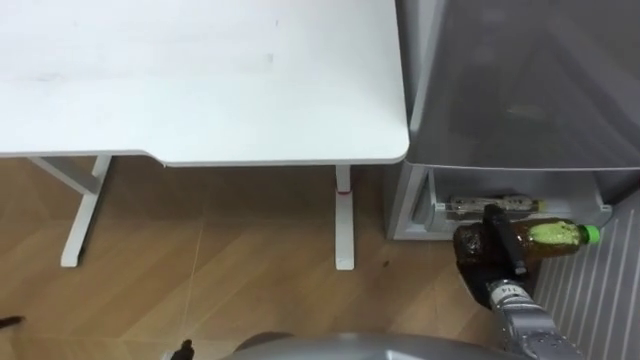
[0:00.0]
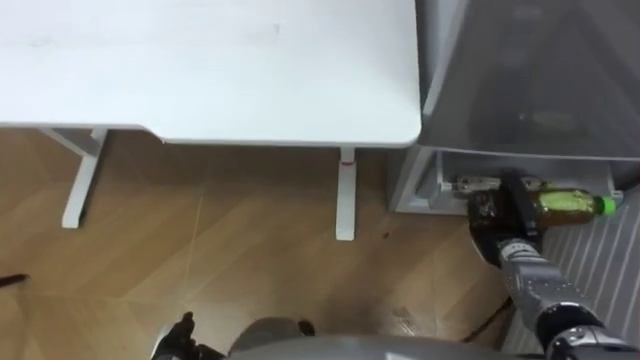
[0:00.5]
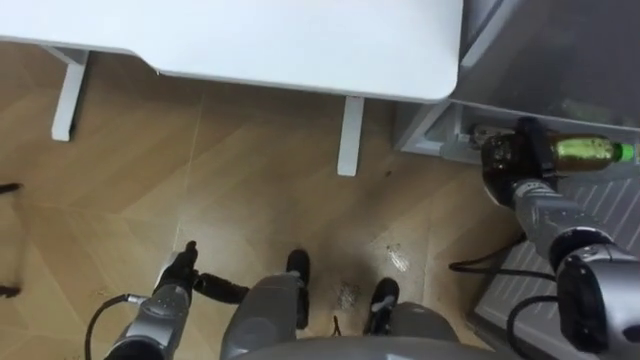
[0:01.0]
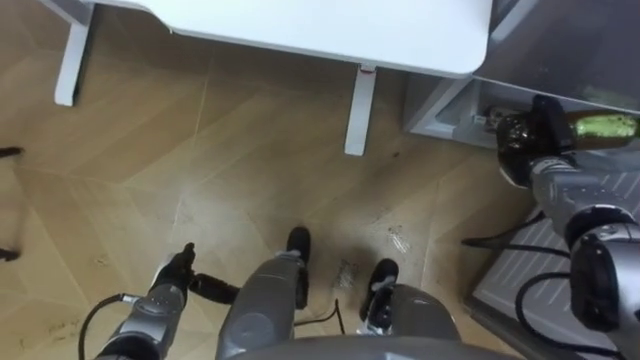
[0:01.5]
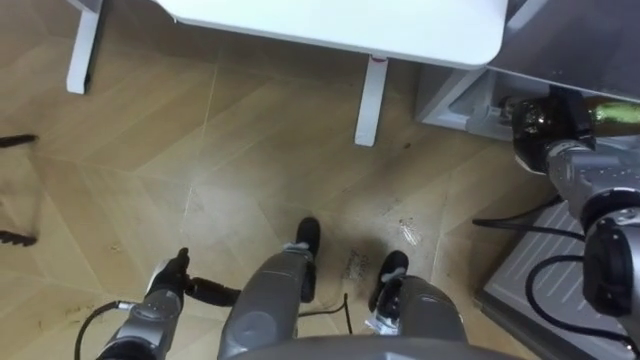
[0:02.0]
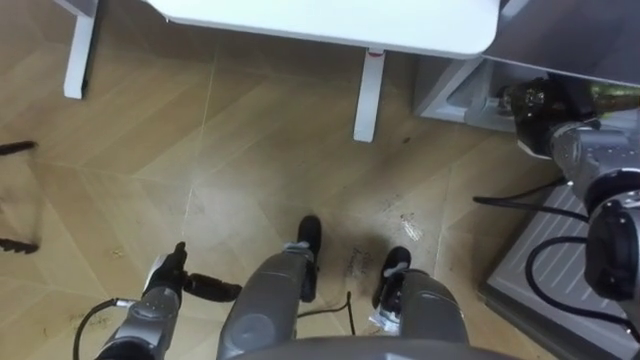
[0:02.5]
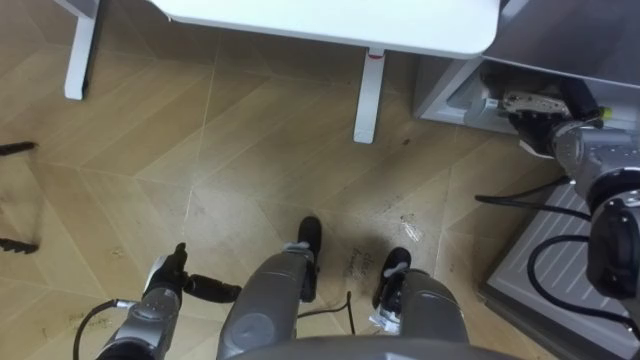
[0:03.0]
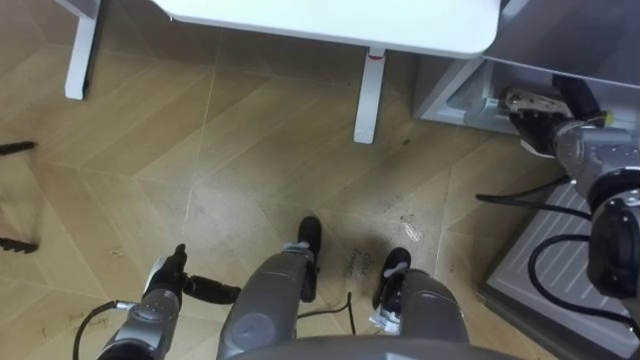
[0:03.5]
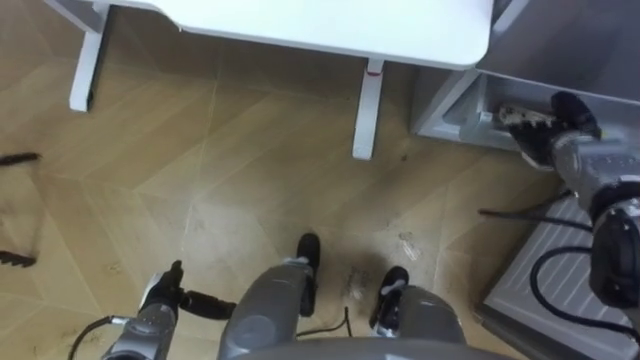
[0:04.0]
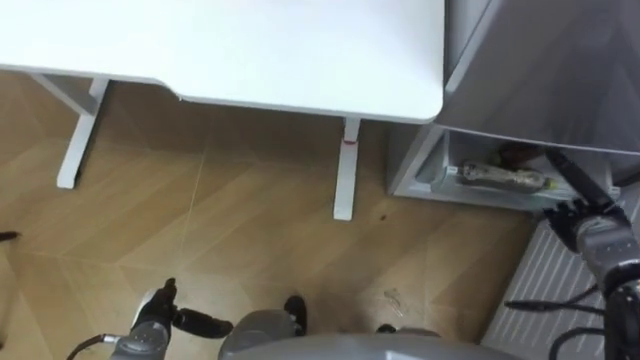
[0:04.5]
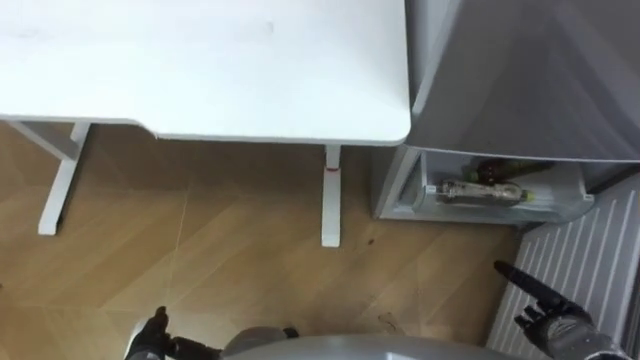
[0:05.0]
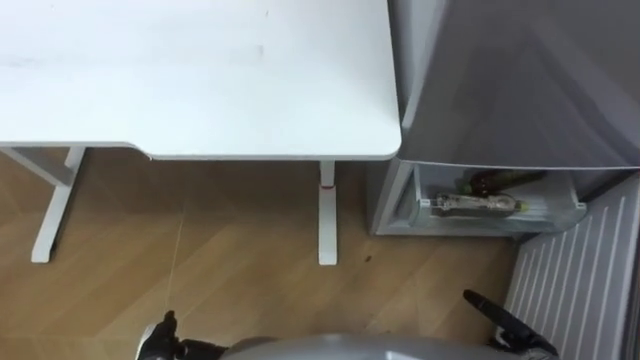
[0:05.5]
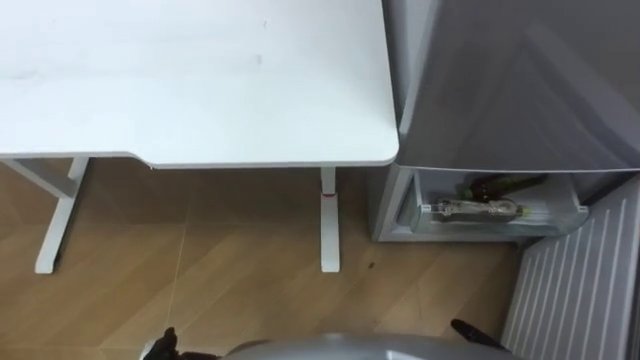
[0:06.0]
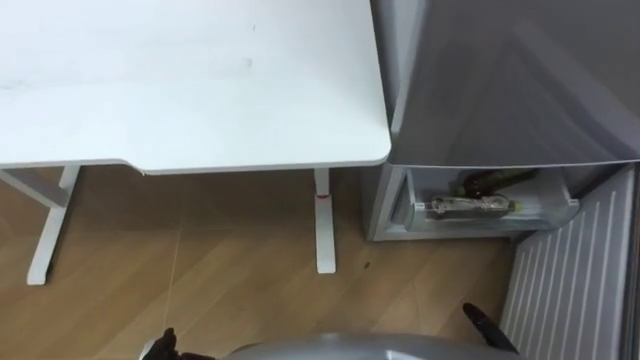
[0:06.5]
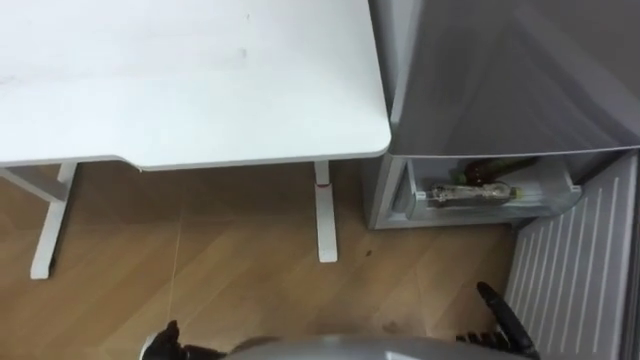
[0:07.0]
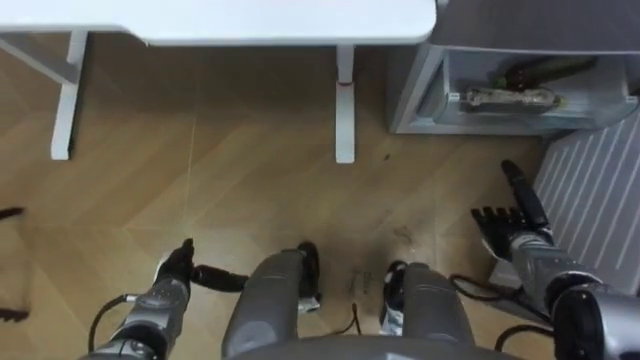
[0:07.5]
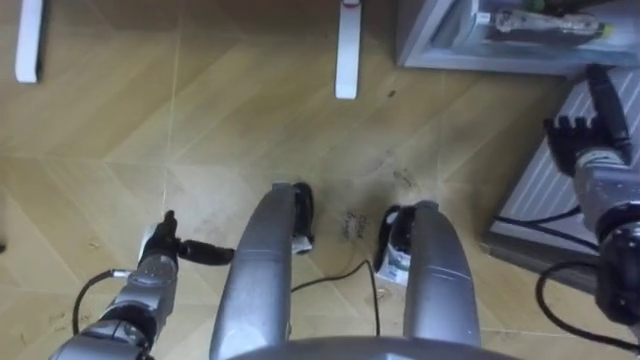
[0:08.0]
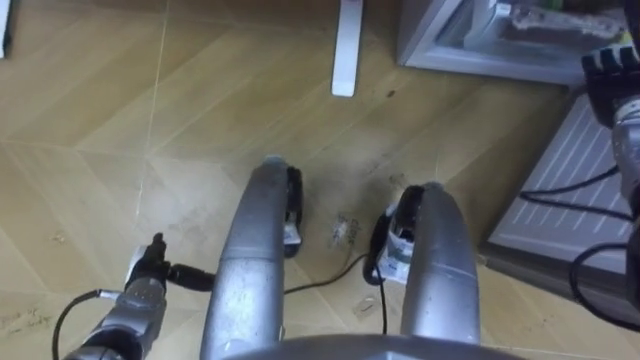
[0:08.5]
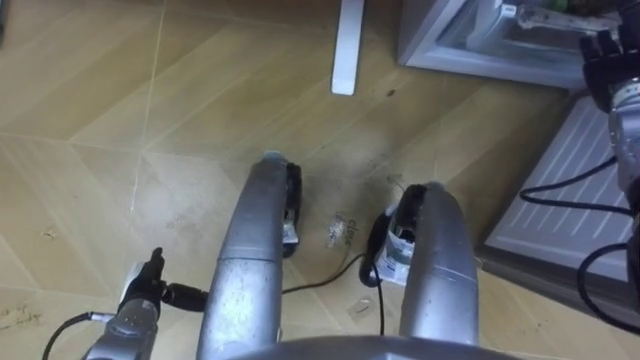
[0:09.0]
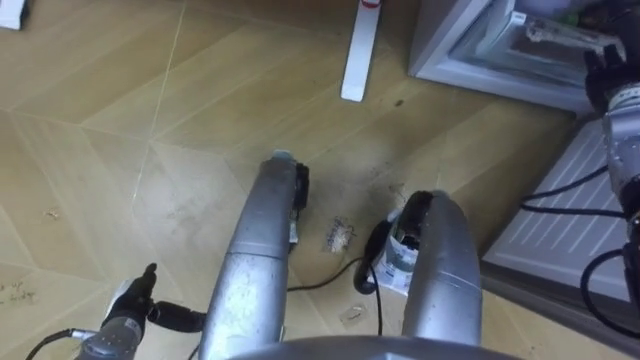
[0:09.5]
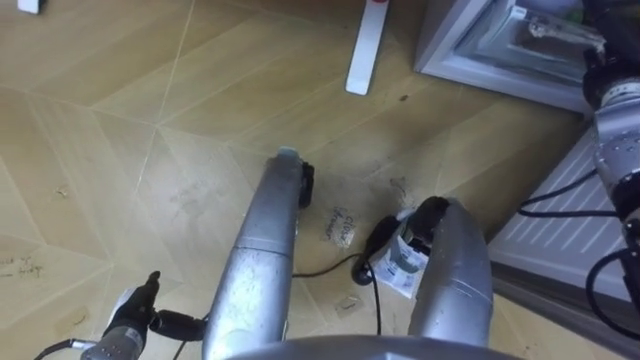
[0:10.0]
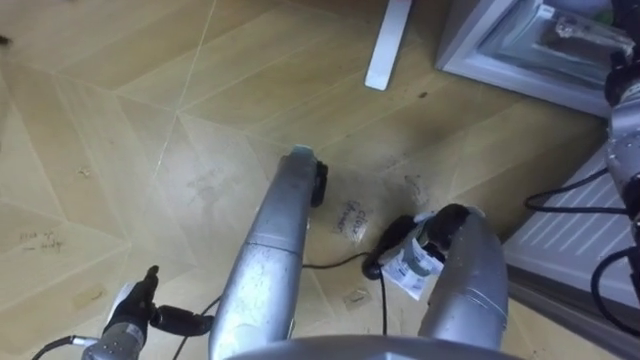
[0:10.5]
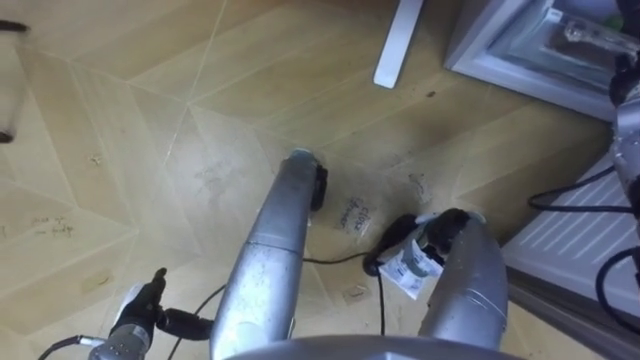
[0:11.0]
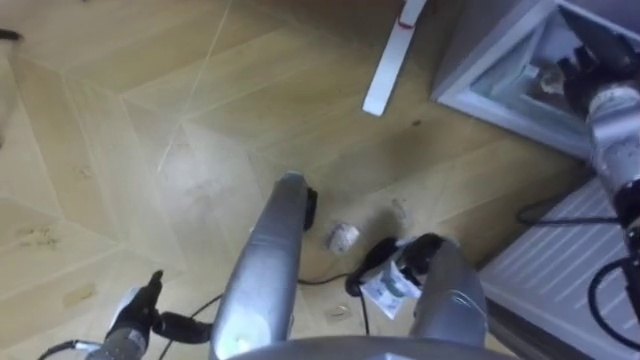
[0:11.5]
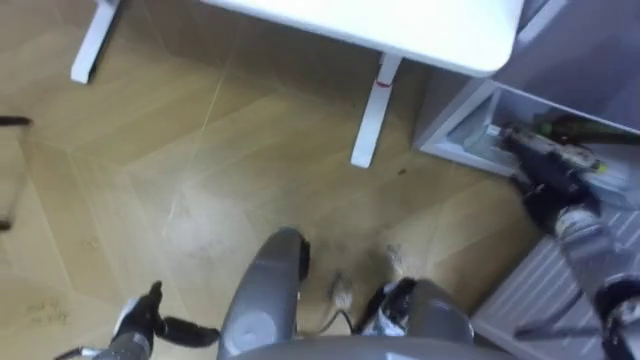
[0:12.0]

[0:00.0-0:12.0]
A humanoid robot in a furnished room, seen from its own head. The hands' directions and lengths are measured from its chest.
Task of the whole recording: Place the drink on the table on the bottom shelf of the refrigerator, then close the drawer and the refrigerator door.
0:00.0 to 0:02.0: The right hand is displaced forward, upward and to the right by roughly 20 cm.
0:02.0 to 0:04.0: The right hand opens up.
0:08.0 to 0:10.0: The right hand shifts approximately 10 cm upward and forward. Meanwhile the left hand heads backward, covering approximately 10 cm.
0:10.0 to 0:12.0: The right hand heads downward and backward, covering approximately 15 cm.

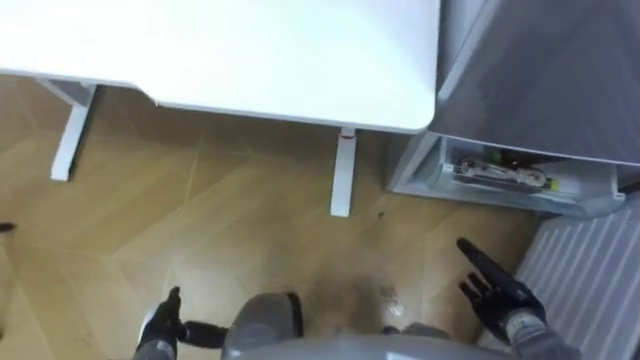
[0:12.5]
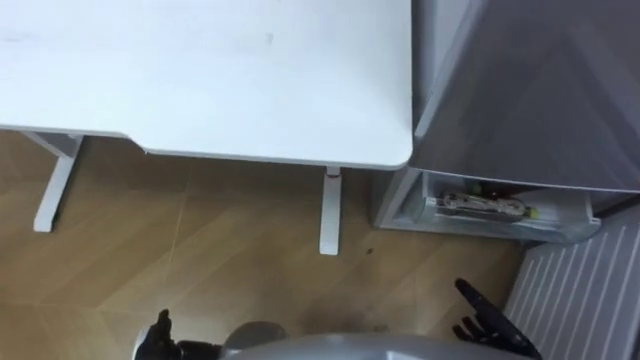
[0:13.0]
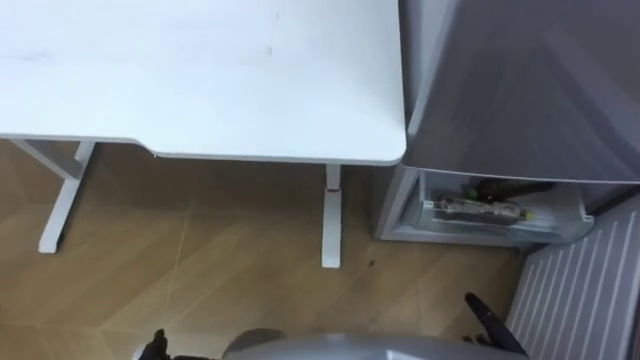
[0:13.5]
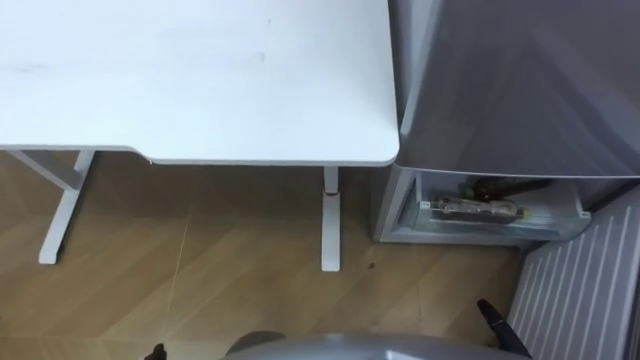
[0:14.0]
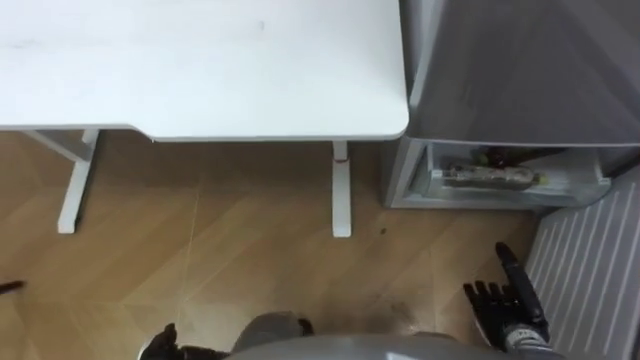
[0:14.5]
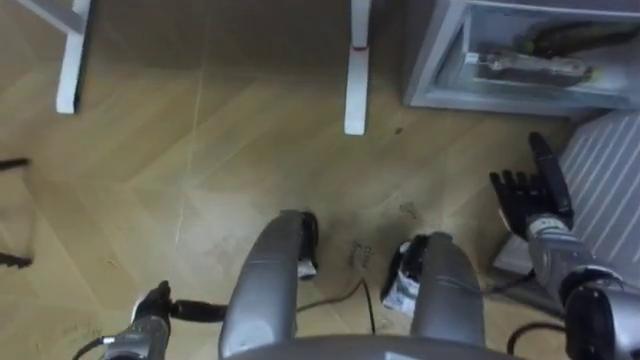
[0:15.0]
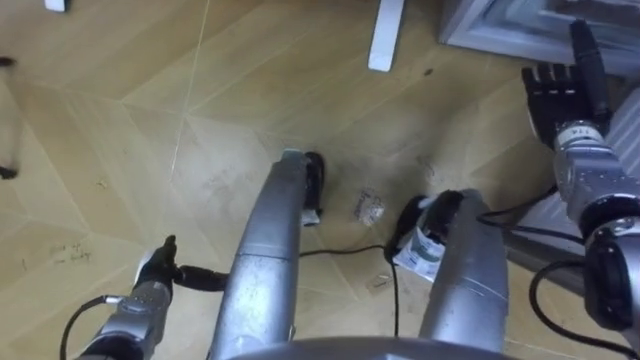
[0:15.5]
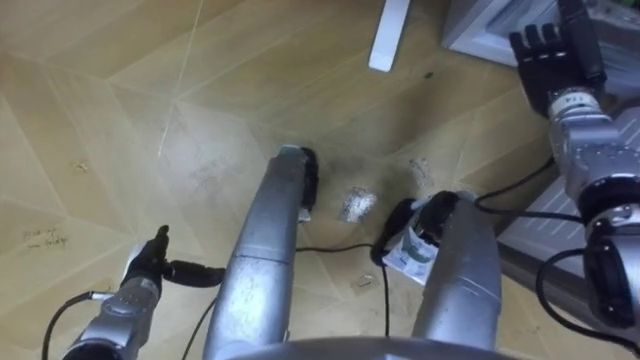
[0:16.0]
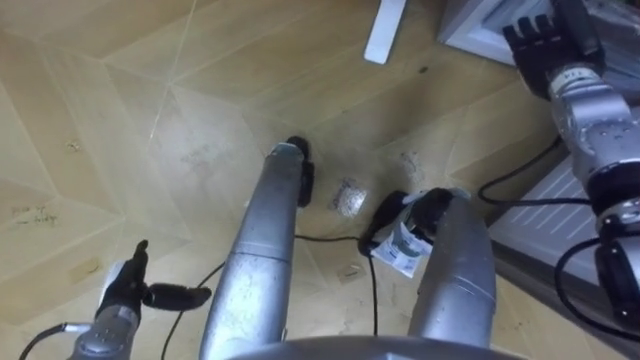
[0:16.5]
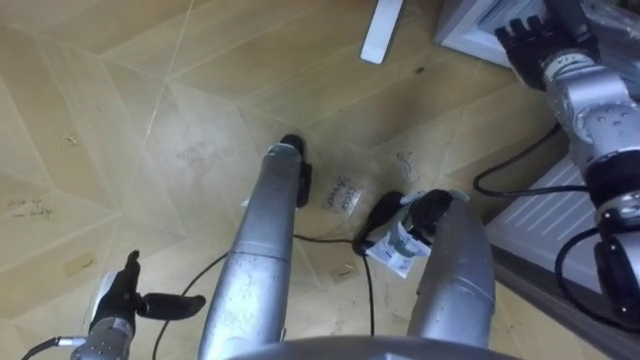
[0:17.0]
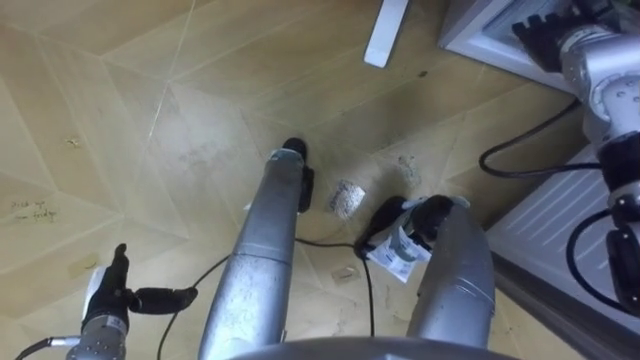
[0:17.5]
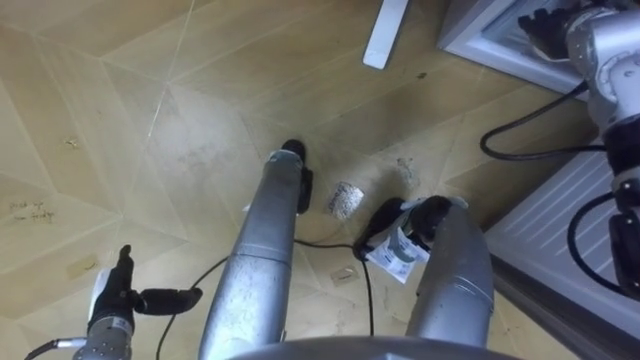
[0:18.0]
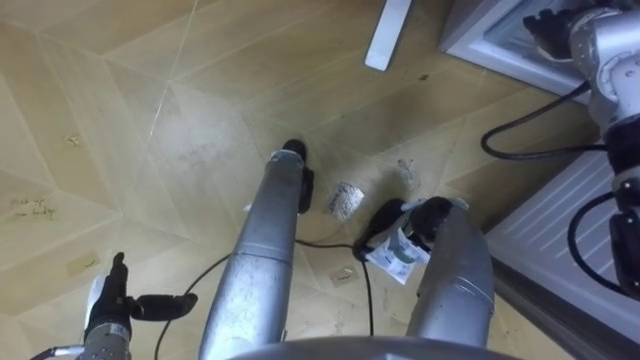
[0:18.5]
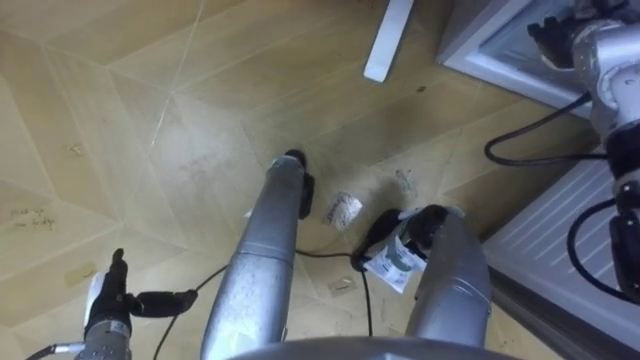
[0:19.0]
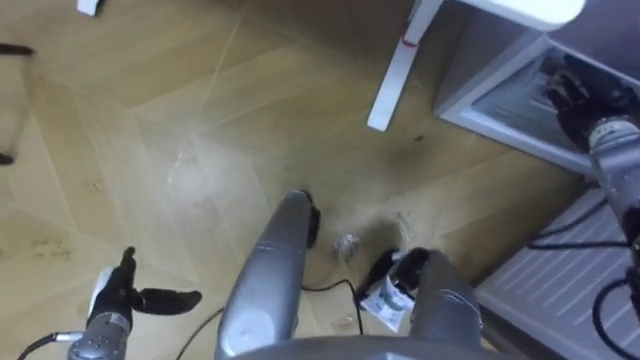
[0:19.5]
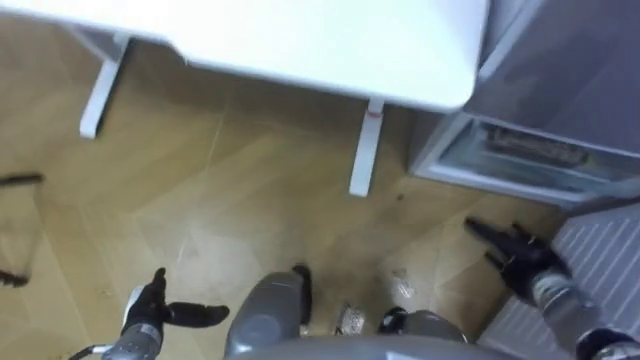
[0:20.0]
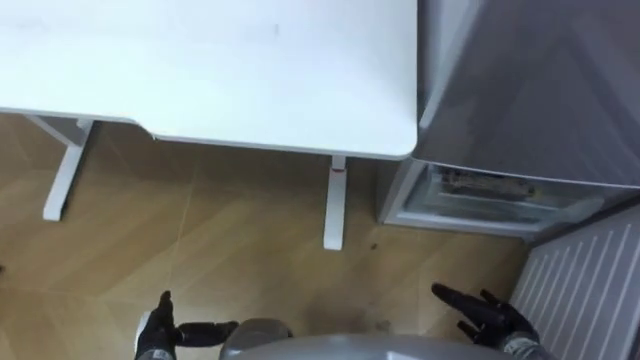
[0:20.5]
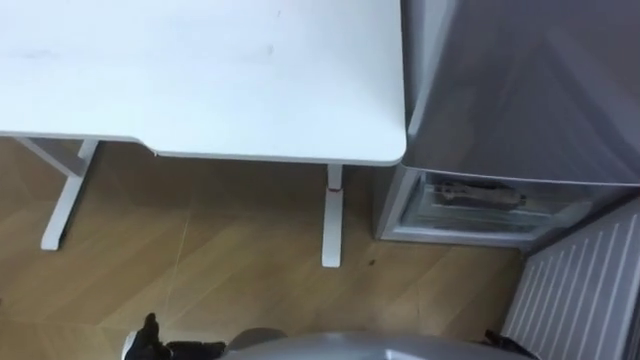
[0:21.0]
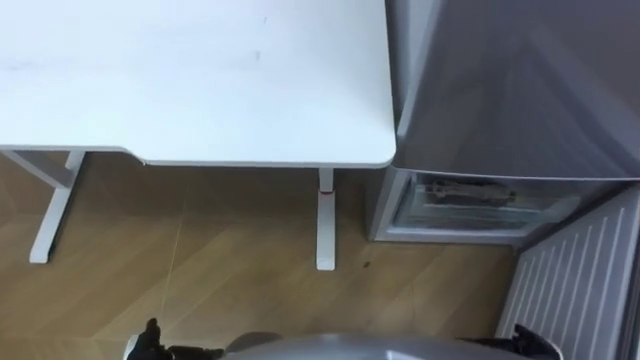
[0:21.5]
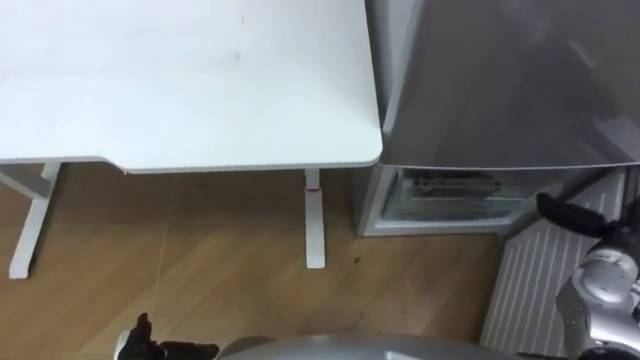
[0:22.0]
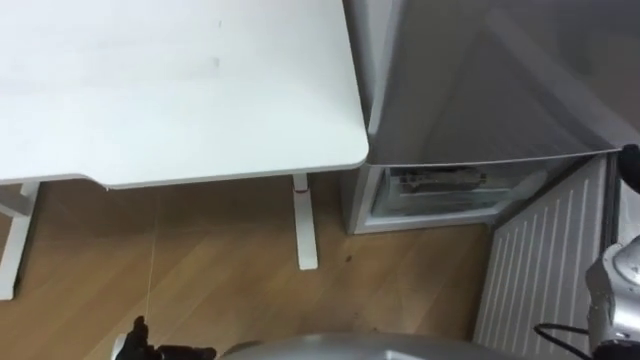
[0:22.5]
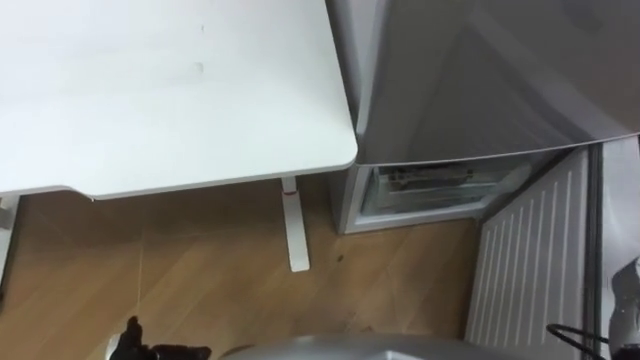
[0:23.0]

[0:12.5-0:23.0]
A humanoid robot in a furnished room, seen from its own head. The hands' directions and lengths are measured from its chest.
Task of the whole recording: Place the drink on the table on the bottom shelf of the refrigerator, then close the drawer and the refrigerator door.
0:14.5 to 0:16.5: The right hand travels forward and upward by some 40 cm.
